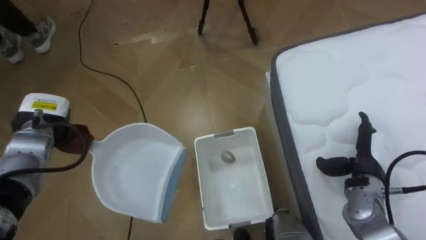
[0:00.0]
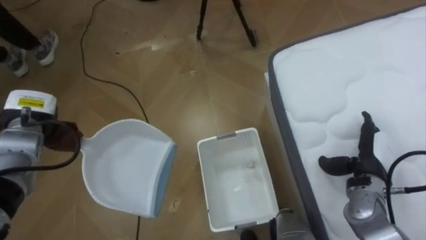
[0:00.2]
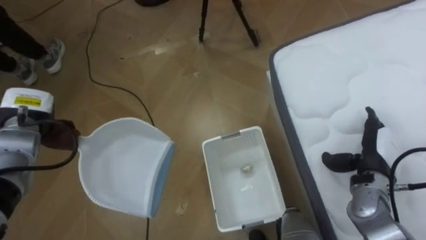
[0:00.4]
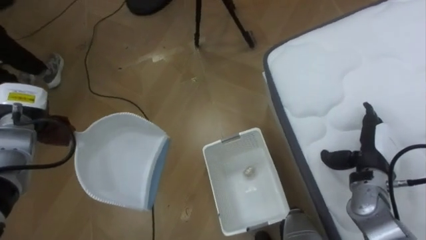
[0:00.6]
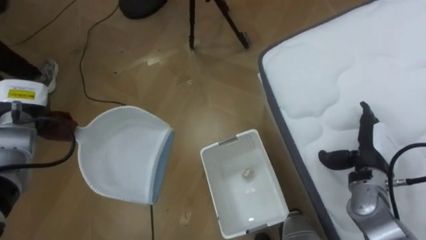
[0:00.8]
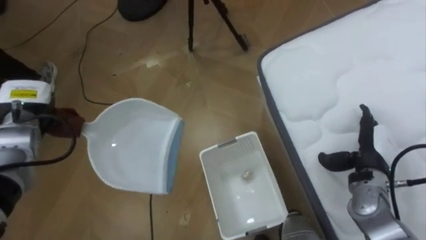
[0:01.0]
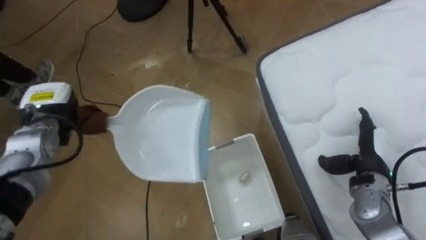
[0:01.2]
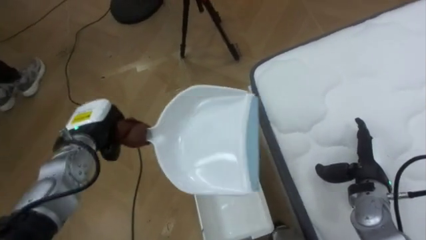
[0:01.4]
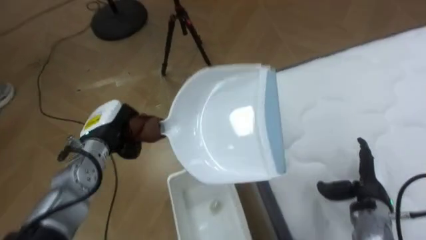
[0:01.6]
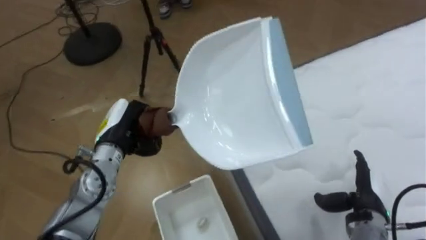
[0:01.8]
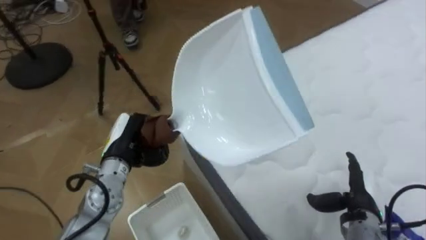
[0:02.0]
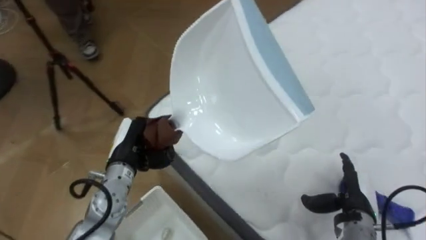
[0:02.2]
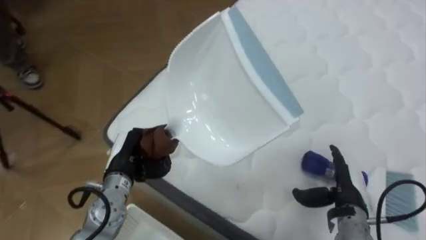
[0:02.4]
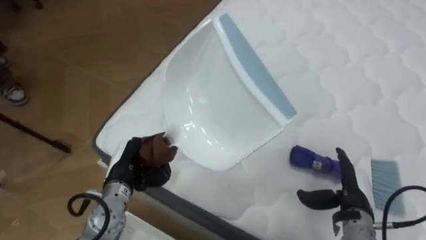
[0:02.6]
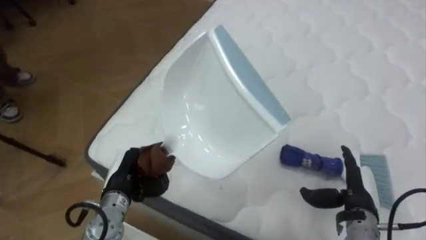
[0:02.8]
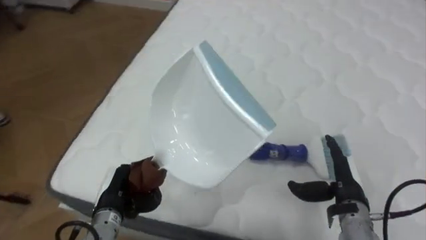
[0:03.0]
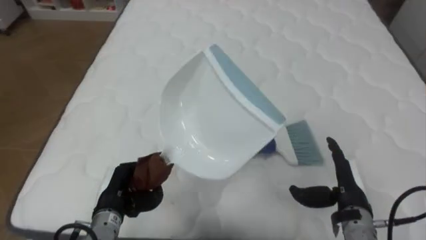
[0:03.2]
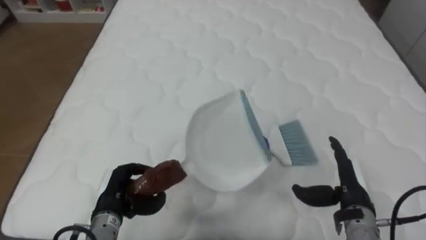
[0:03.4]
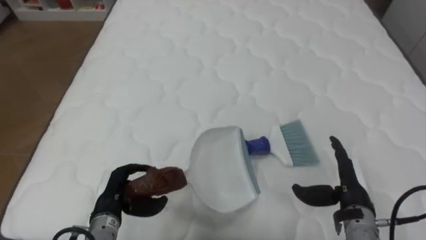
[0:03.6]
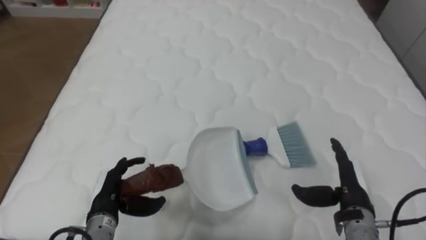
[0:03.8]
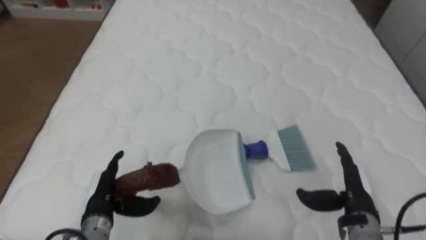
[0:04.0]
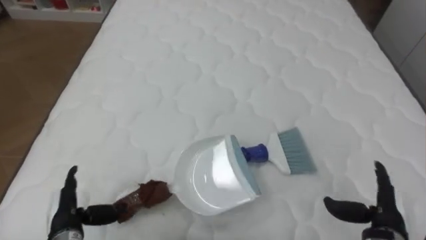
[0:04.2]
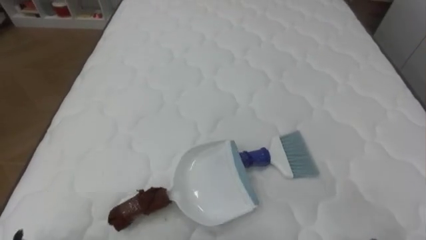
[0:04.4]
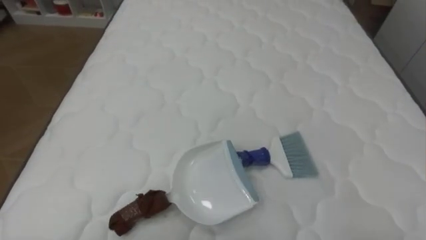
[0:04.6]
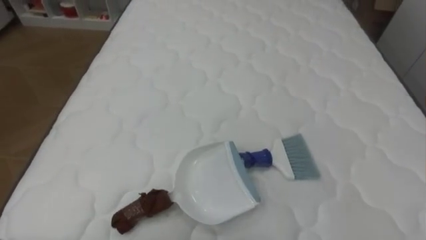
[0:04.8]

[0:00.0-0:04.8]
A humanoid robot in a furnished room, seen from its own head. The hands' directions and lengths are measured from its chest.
Task of the whole recording: Pick up the brush on your right and the dustpan on your left. Use the brush to sweep the crumpled paper on the bed into the dustpan, then turn left and empty it into the basket.
0:00.0 to 0:01.6: The right hand moves about 5 cm; the left hand travels to the right by approximately 10 cm.
0:01.6 to 0:03.2: The robot rotates roughly 75 degrees to its right. The right hand ends up roughly 5 cm from where it was. Meanwhile the left hand is displaced backward and downward by about 15 cm.

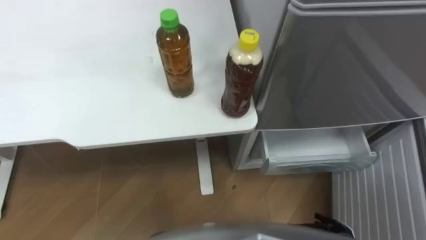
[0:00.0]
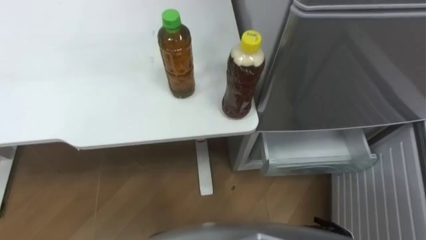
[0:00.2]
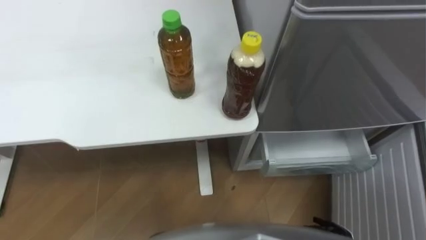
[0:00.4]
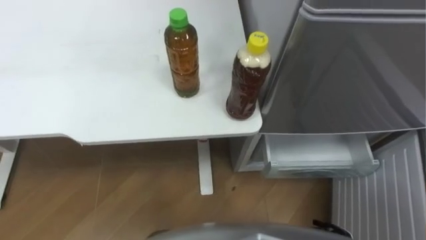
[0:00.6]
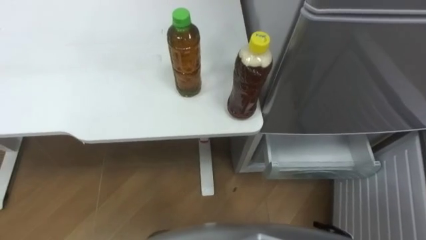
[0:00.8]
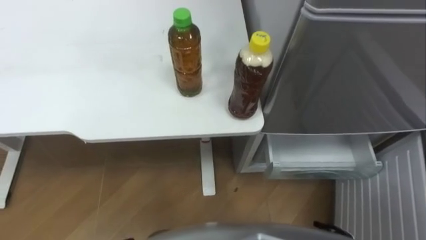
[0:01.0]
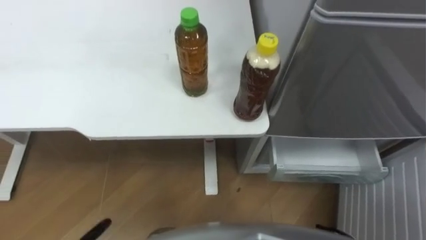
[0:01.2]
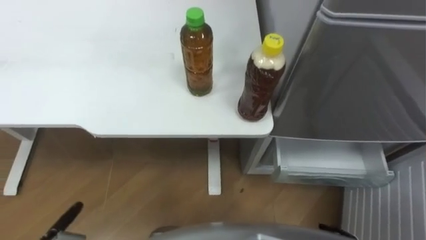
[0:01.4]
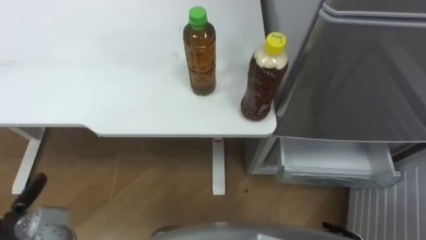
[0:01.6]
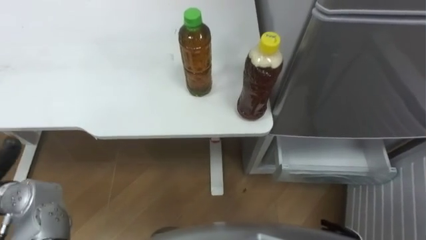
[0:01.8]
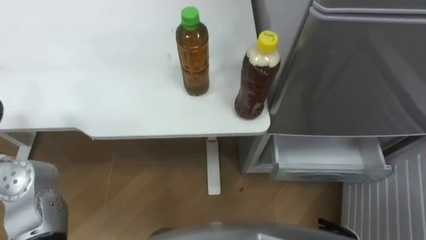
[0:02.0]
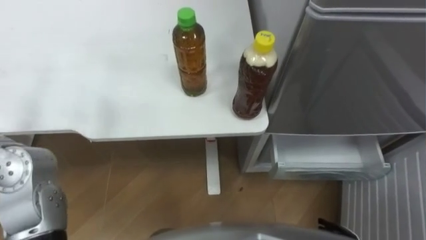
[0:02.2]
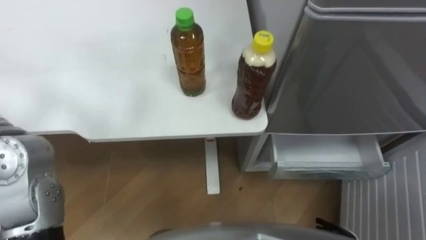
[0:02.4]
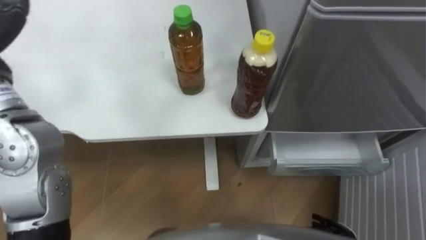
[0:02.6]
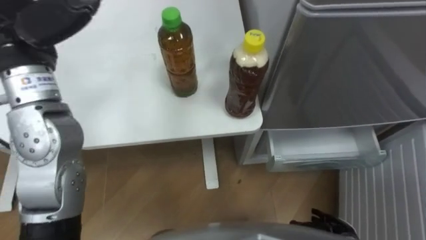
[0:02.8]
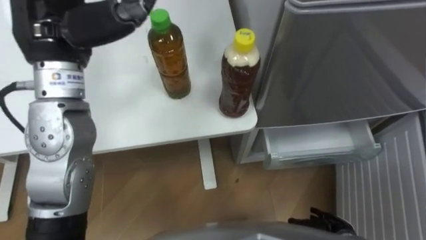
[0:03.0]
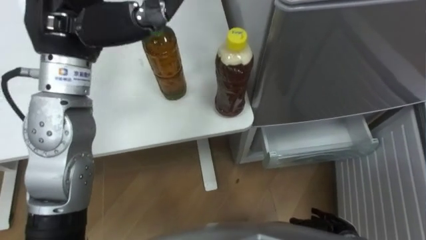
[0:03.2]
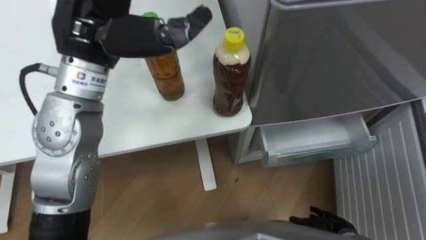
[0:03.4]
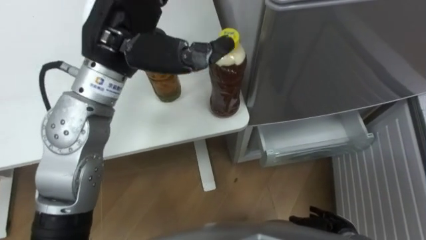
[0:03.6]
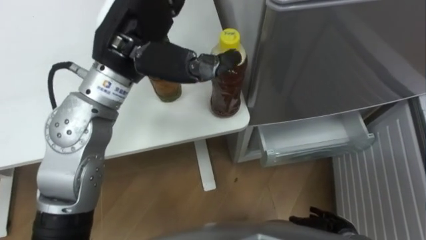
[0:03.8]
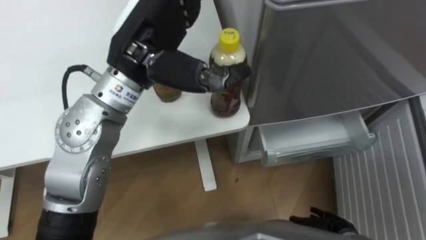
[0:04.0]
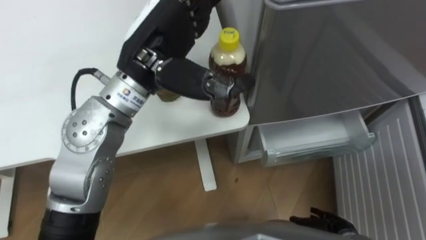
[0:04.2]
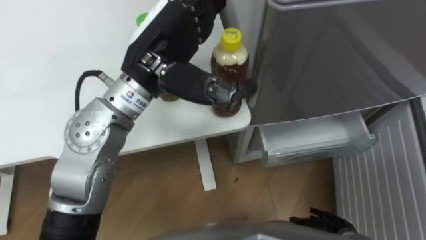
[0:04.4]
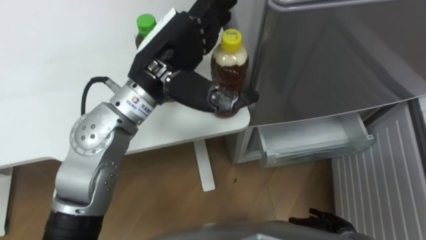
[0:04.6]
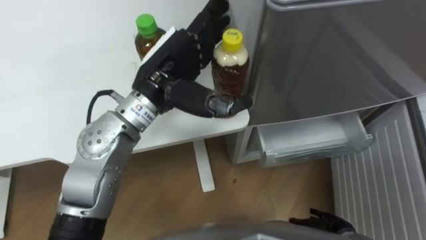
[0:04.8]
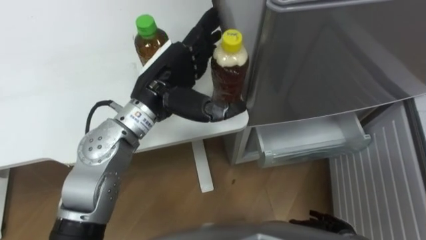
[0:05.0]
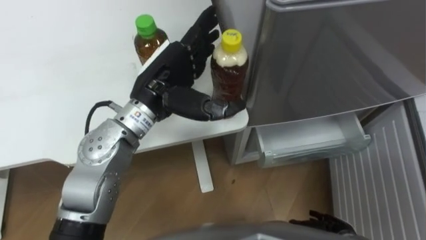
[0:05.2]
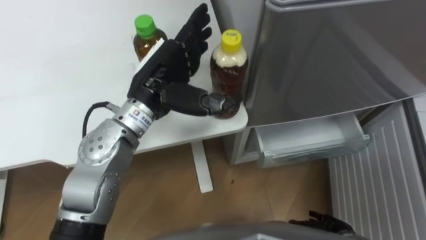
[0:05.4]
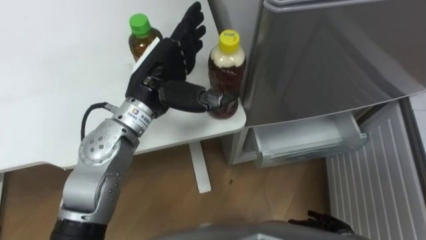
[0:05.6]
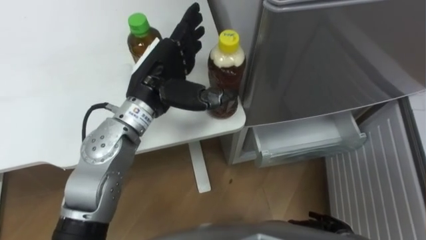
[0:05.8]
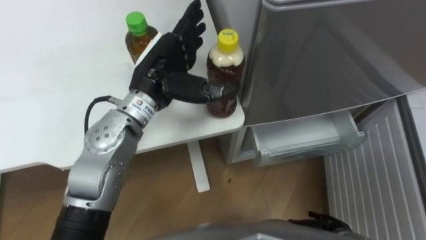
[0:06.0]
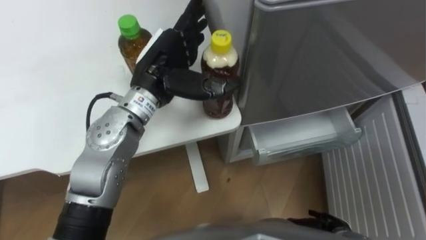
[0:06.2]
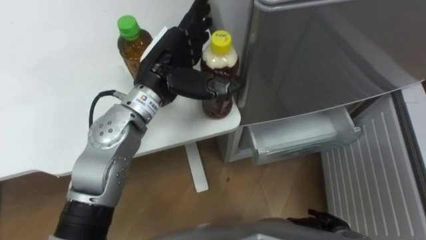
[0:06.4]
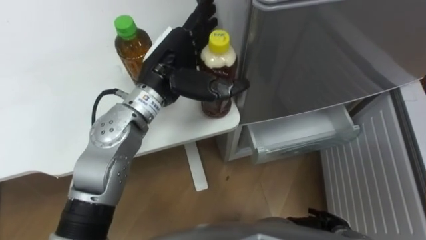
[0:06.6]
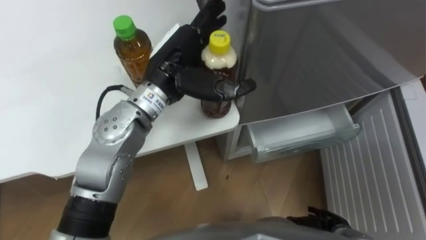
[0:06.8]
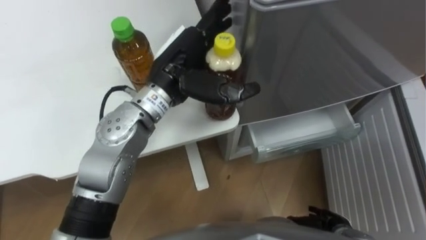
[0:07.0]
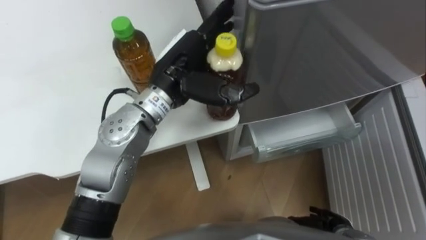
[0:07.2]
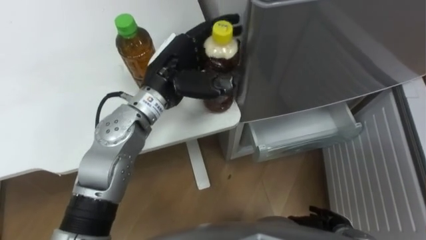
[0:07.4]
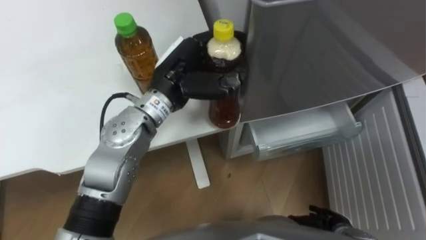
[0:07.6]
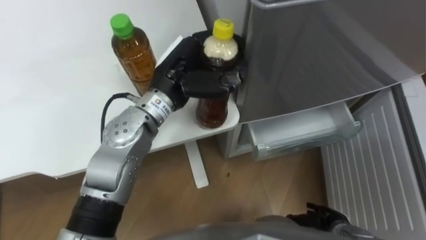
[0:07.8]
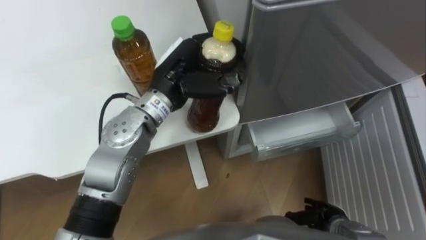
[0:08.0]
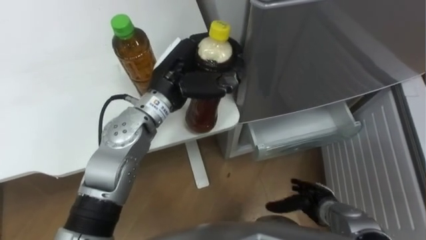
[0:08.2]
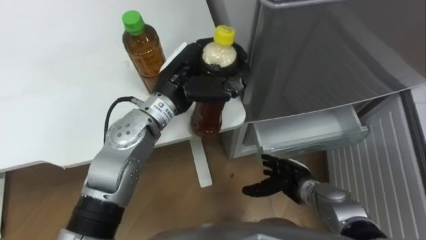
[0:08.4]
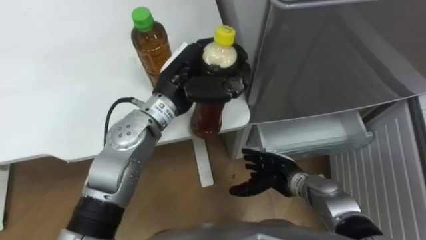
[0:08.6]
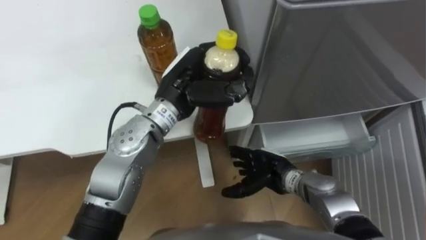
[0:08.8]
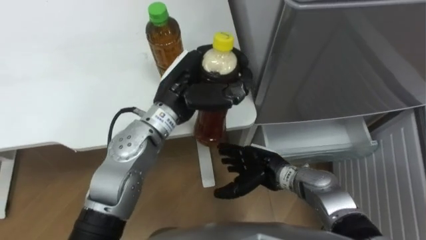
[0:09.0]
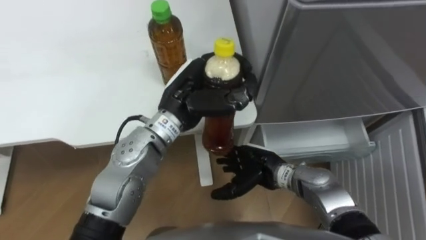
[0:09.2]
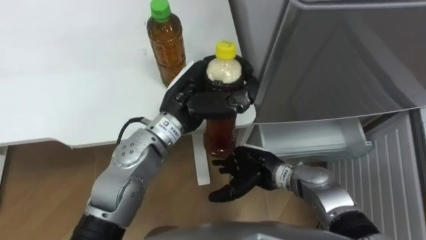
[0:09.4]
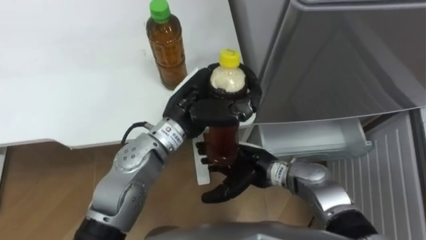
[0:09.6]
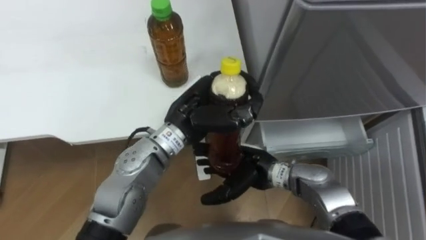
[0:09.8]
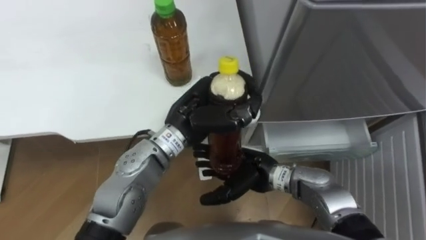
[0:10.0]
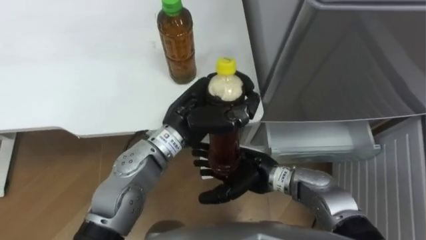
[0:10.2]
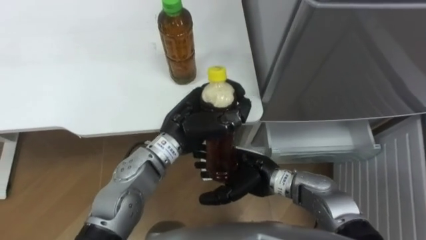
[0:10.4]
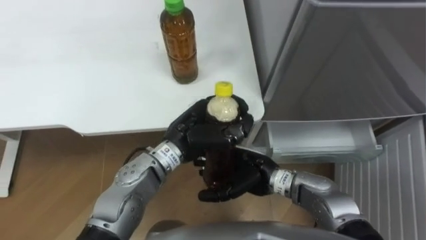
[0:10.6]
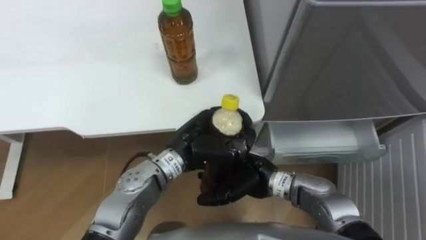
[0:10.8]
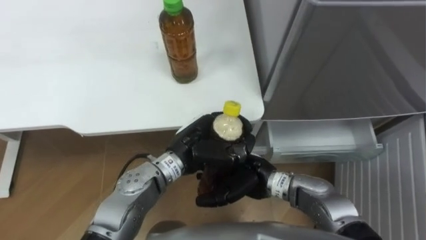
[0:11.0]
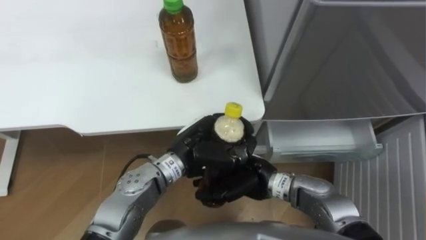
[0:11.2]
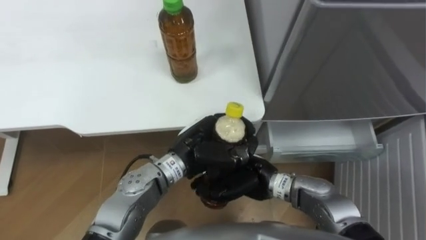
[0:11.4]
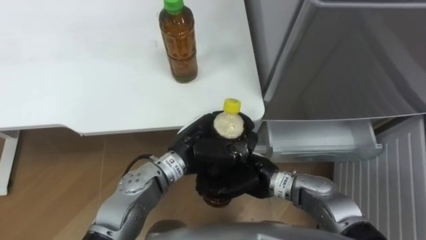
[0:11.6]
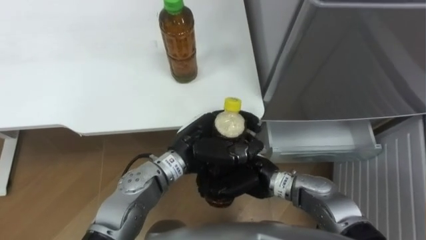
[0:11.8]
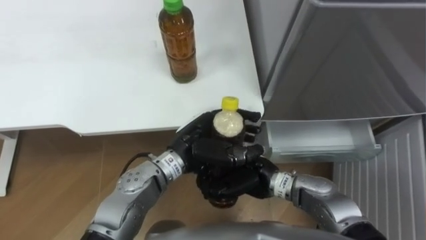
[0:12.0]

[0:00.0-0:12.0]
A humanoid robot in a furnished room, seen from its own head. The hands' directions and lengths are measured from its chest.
Task of the whole recording: Place the drink on the table on the bottom shelf of the refrigerator, then close the drawer and the refrigerator door.
0:03.0 to 0:04.4: The left hand shifts approximately 10 cm to the right.
0:04.4 to 0:06.0: The left hand is displaced downward by approximately 10 cm.
0:06.0 to 0:07.6: The left hand closes up.
0:07.6 to 0:09.0: The right hand is displaced to the left, forward and upward by about 20 cm.
0:09.0 to 0:10.4: The right hand moves approximately 5 cm; the left hand moves downward, about 5 cm.
0:10.4 to 0:12.0: The left hand opens its fingers. Meanwhile the right hand closes its fingers.
